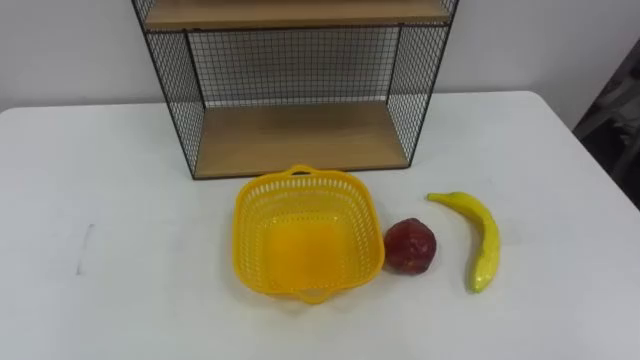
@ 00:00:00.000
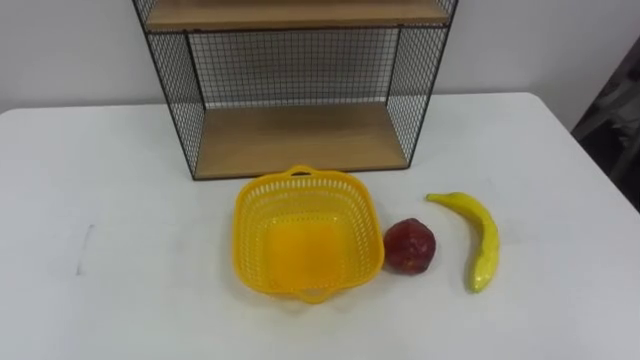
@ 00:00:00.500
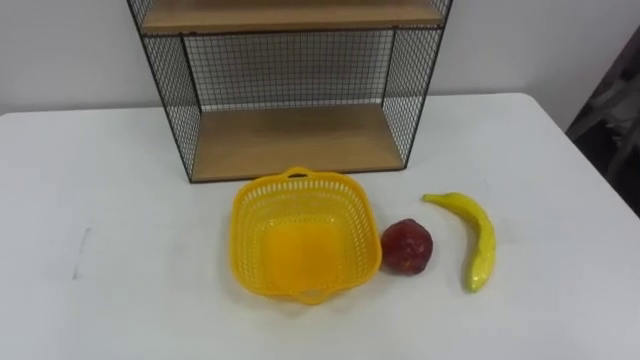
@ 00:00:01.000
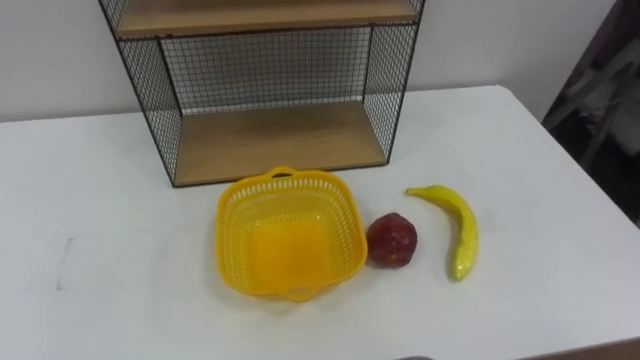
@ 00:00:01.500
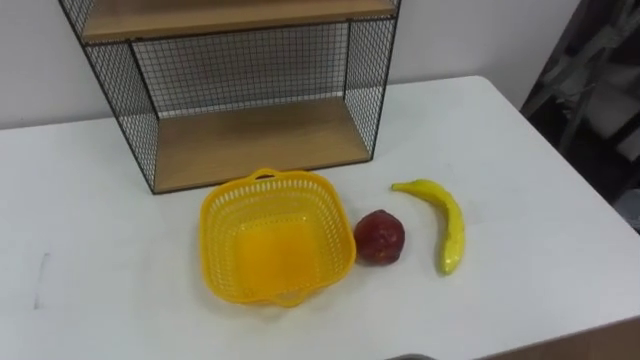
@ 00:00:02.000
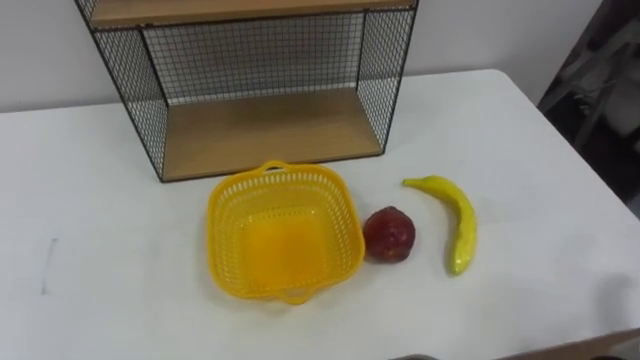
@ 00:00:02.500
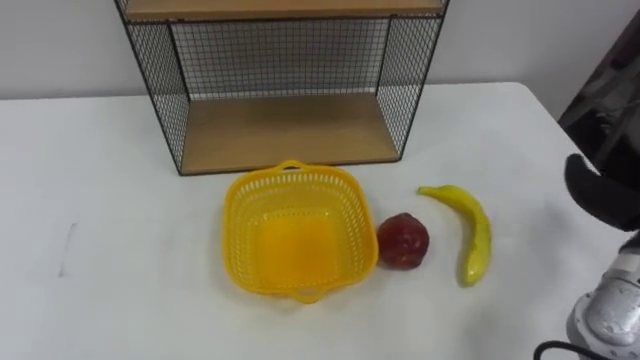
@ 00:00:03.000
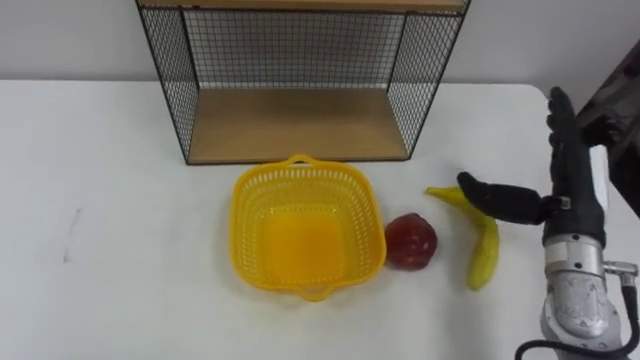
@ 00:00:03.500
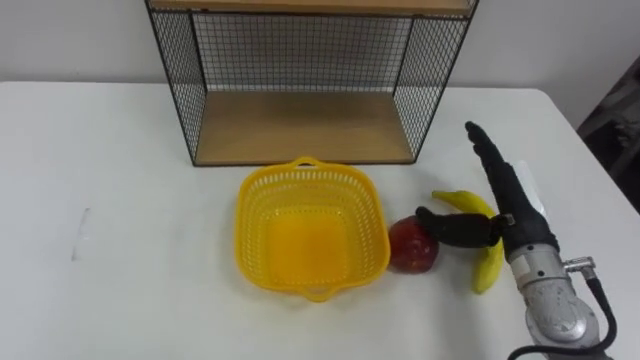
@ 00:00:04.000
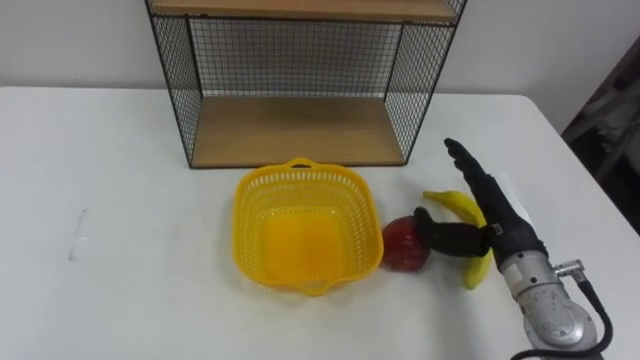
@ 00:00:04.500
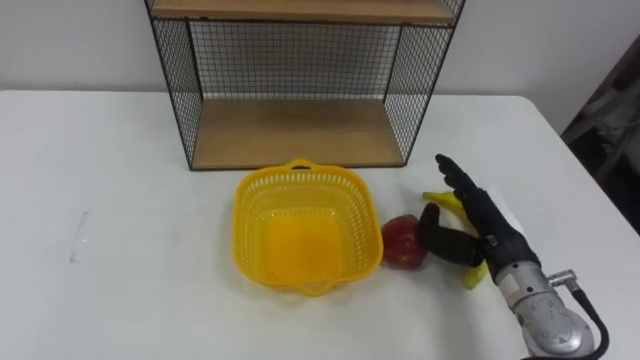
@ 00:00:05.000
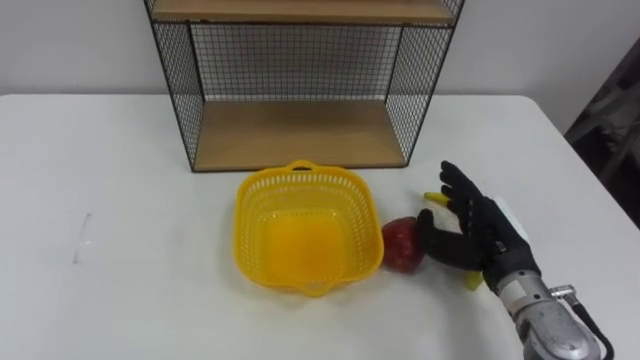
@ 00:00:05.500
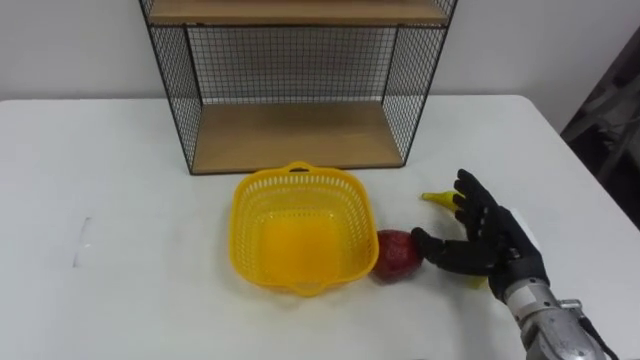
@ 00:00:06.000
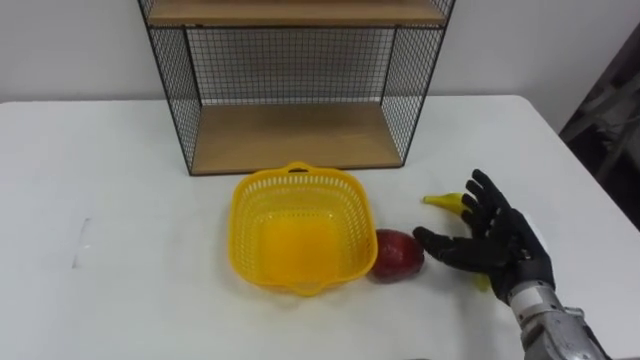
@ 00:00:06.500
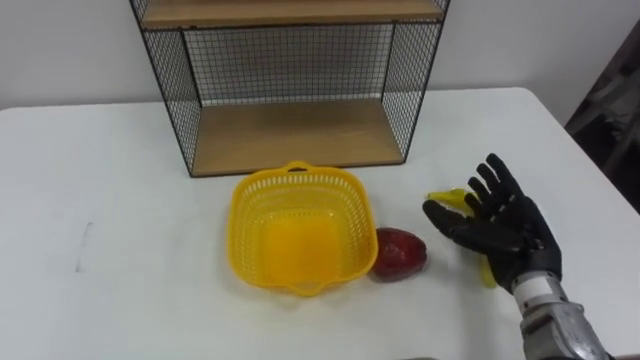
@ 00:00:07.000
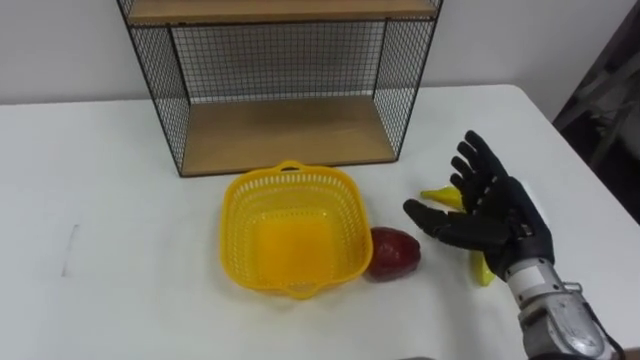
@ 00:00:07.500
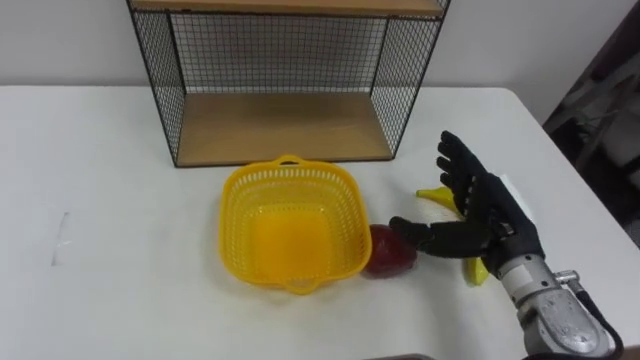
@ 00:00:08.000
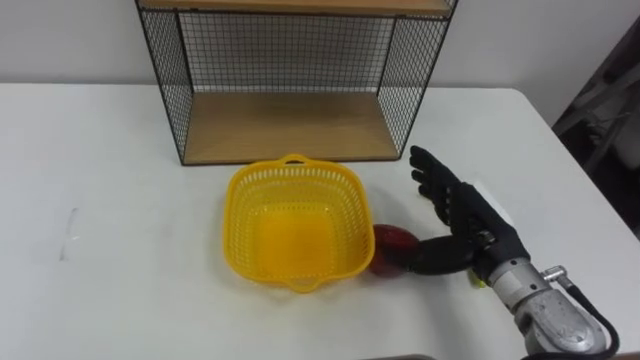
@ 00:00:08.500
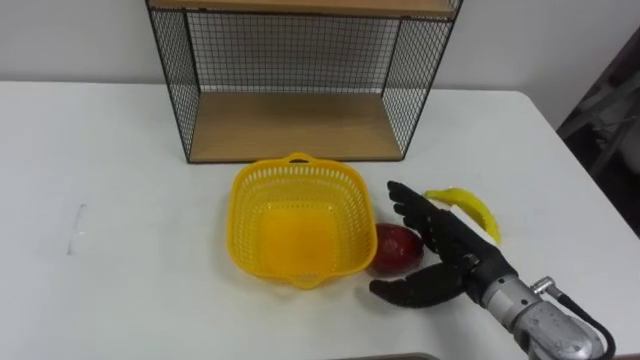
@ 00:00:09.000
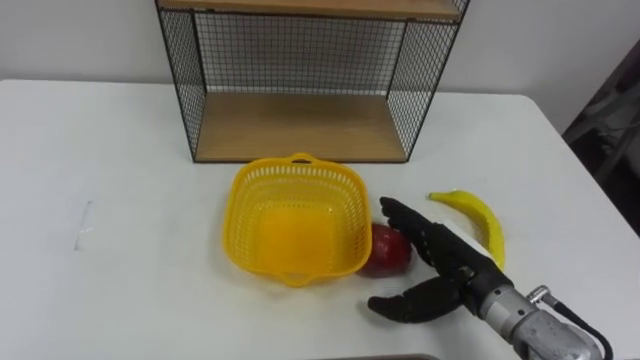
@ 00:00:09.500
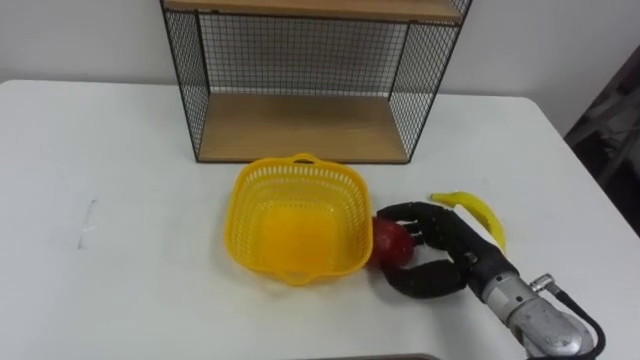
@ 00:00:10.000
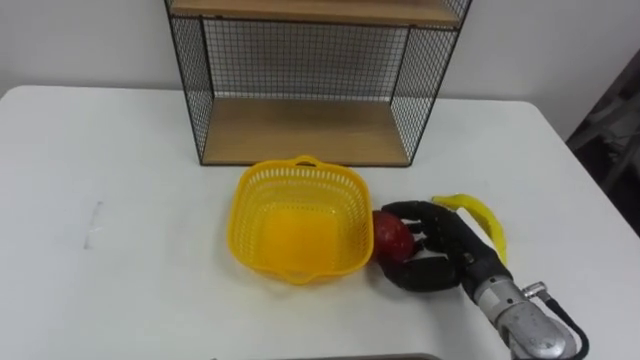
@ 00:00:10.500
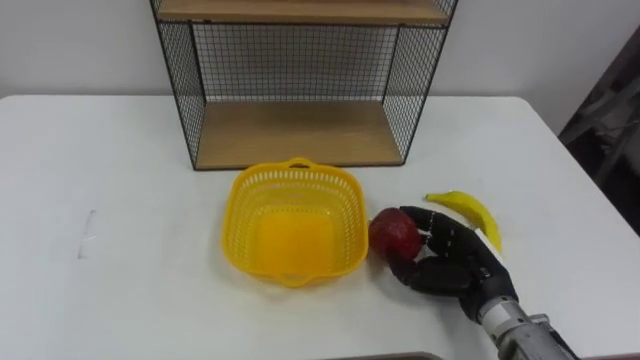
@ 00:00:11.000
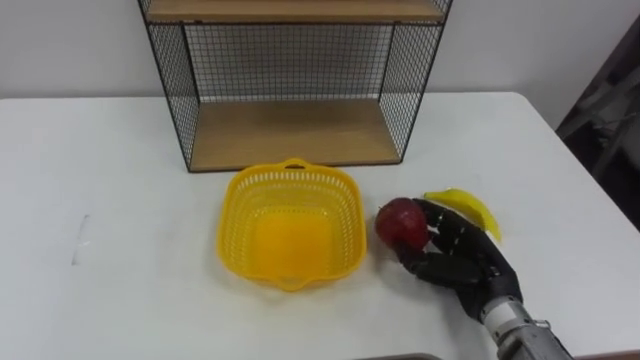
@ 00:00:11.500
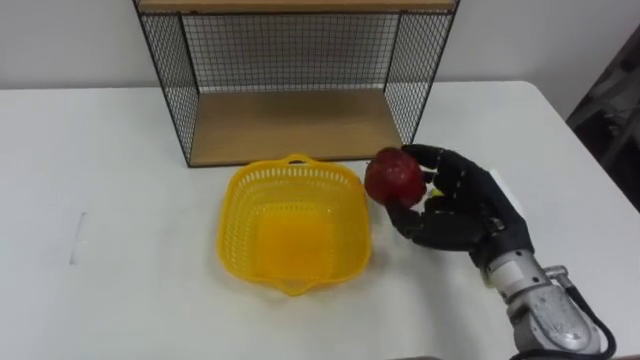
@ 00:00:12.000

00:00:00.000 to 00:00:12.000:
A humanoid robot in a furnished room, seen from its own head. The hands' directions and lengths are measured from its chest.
Task of the whole recording: Put the fruit on the table into the basket, then place the basket on the shelf.
00:00:04.000 to 00:00:06.000: The right hand shifts approximately 5 cm downward.
00:00:06.000 to 00:00:08.000: The right hand heads upward, covering some 5 cm.
00:00:08.000 to 00:00:10.000: The right hand changes place by approximately 5 cm, and closes up.
00:00:10.000 to 00:00:12.000: The right hand is displaced upward by about 5 cm.

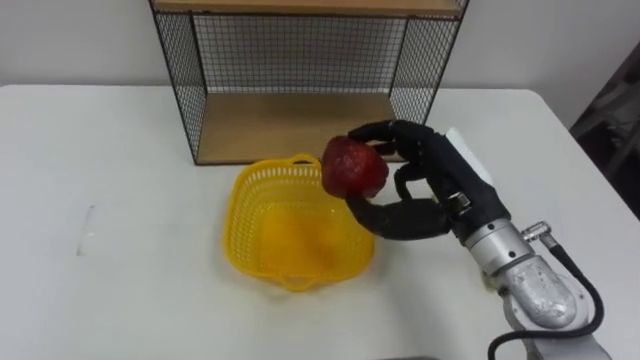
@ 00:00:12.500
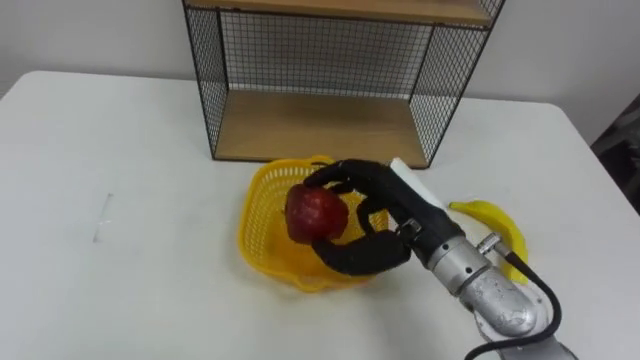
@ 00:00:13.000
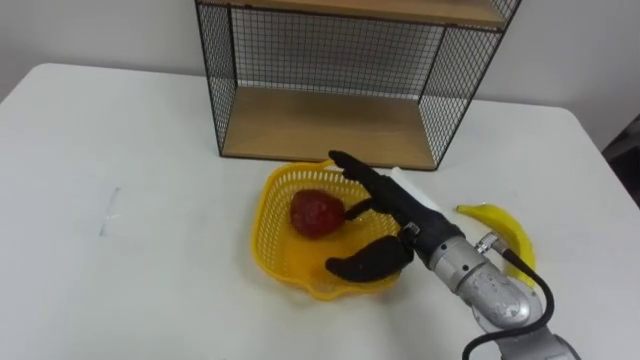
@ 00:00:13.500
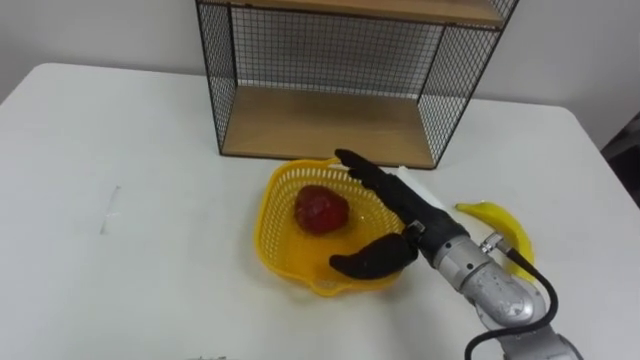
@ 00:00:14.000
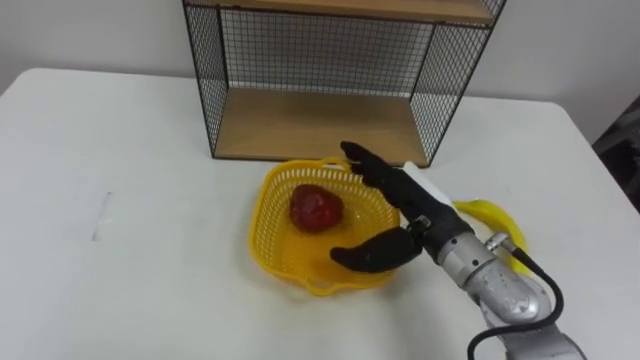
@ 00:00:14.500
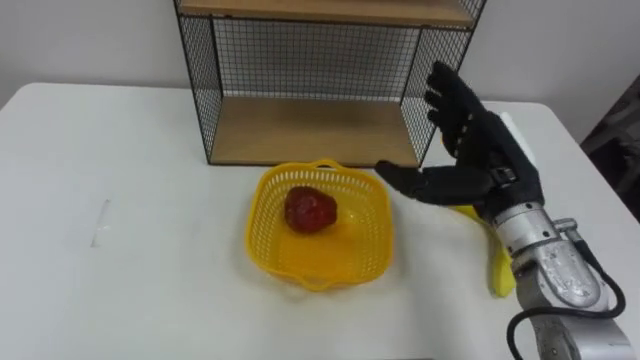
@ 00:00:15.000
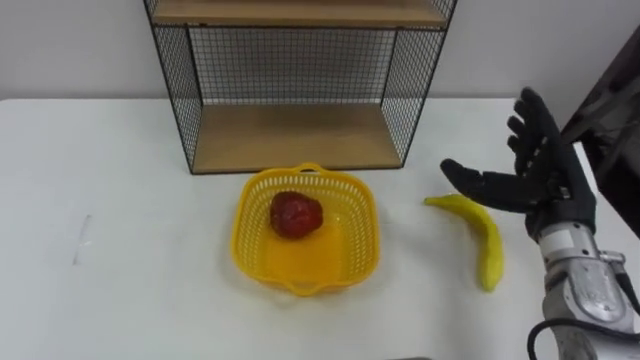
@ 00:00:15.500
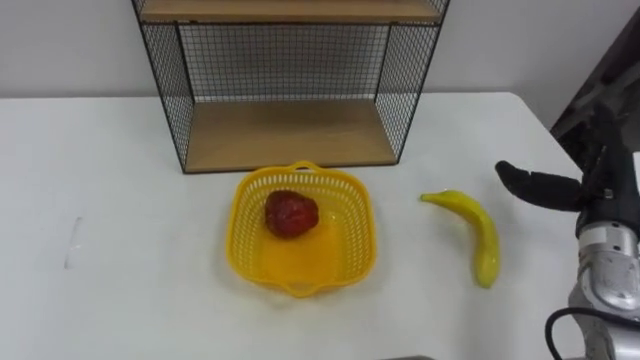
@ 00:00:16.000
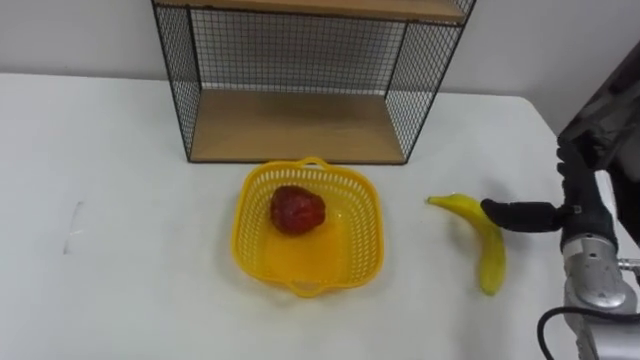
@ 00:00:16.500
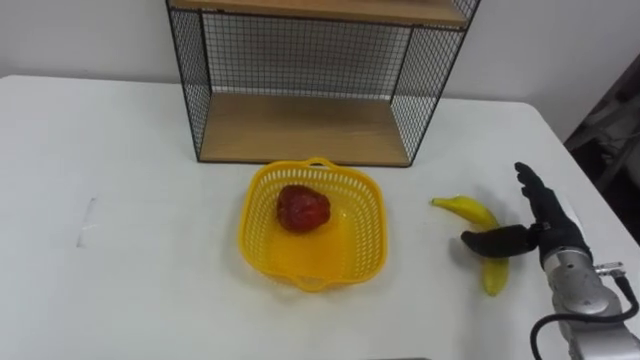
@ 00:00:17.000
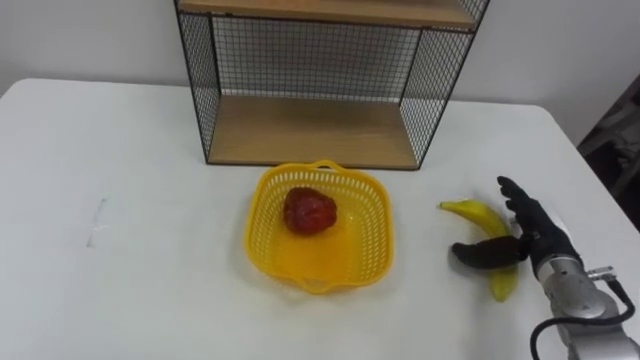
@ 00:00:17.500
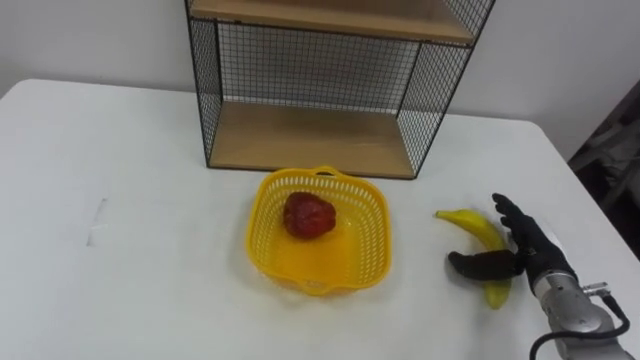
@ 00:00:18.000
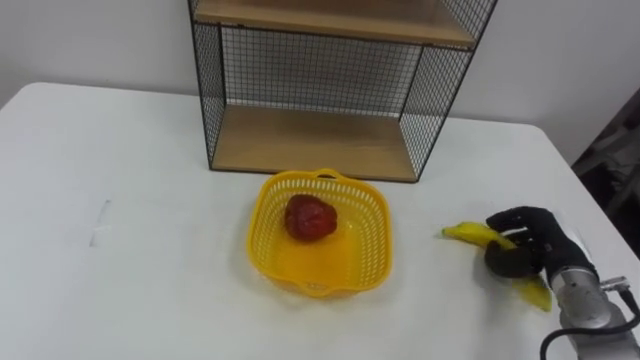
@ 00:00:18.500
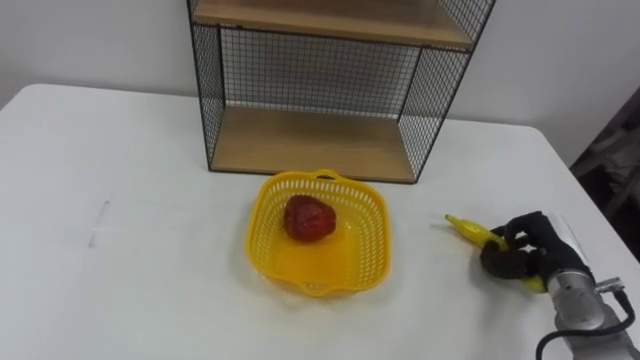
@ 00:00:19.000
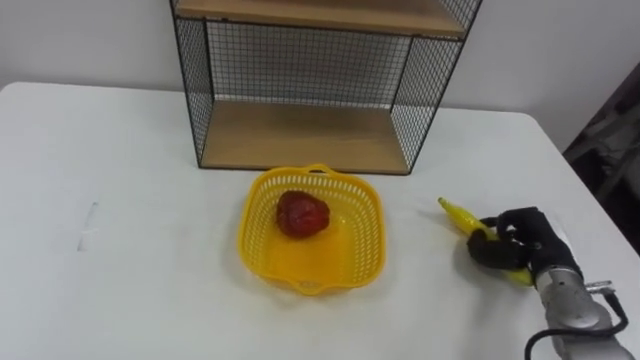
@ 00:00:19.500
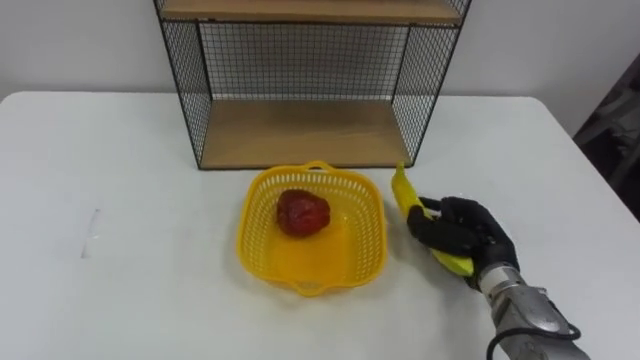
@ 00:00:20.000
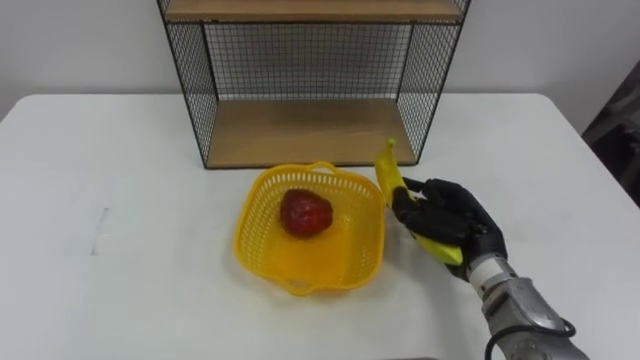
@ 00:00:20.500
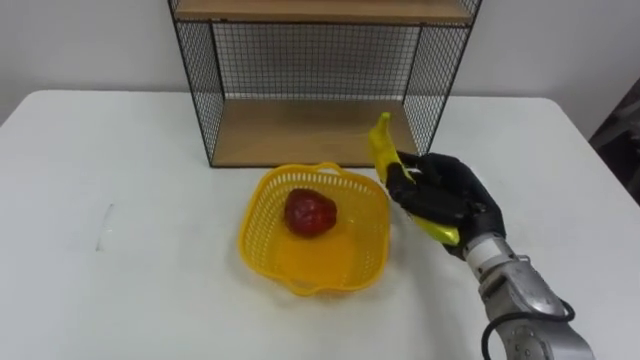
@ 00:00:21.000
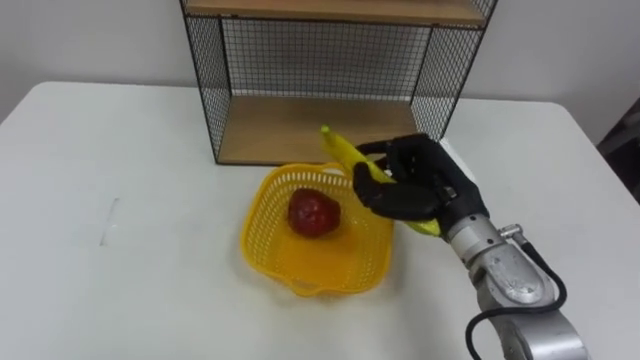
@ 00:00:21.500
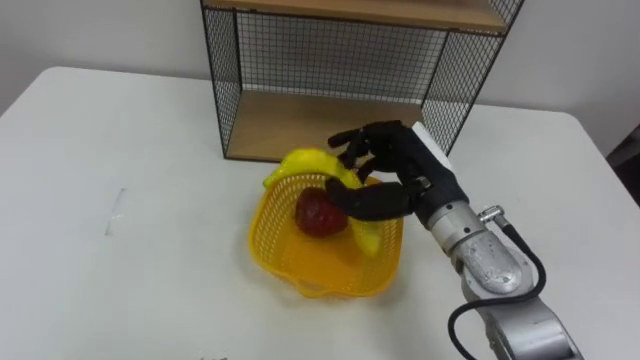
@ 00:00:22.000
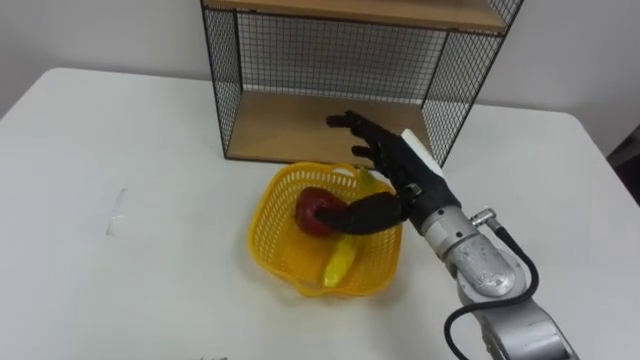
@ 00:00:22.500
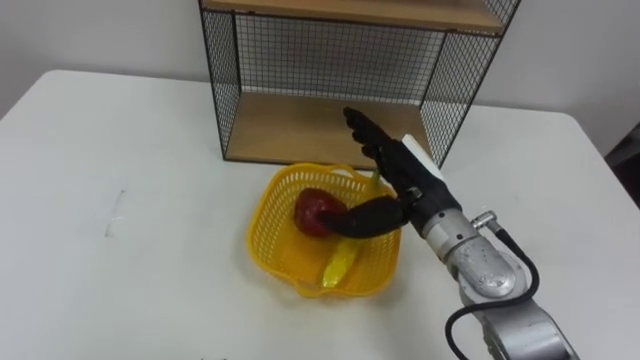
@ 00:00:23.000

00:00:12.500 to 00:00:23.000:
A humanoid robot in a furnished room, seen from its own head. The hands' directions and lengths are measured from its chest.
Task of the whole recording: Put the fruit on the table into the basket, then place the basket on the shelf.
00:00:12.500 to 00:00:14.500: The right hand travels downward by approximately 5 cm, and opens up.
00:00:14.500 to 00:00:16.500: The right hand is displaced to the right by roughly 20 cm.
00:00:16.500 to 00:00:19.000: The right hand goes some 10 cm downward, and closes.
00:00:19.000 to 00:00:21.000: The right hand is displaced to the left and upward by approximately 15 cm.
00:00:21.000 to 00:00:23.000: The right hand moves to the left, approximately 5 cm, and opens.
